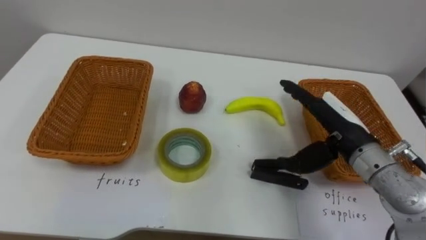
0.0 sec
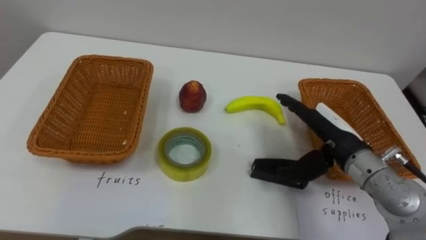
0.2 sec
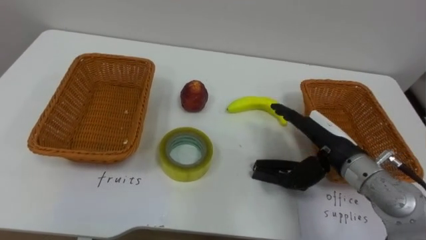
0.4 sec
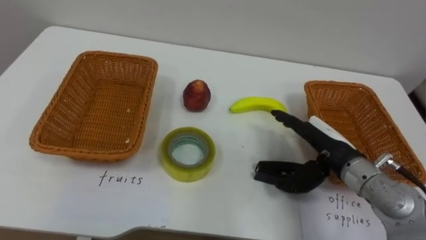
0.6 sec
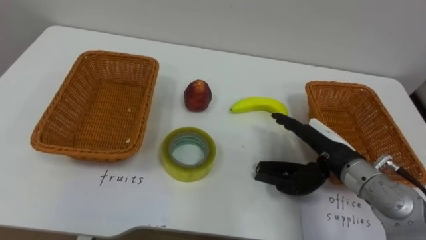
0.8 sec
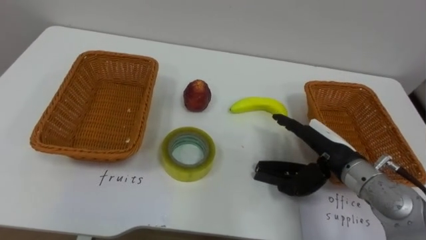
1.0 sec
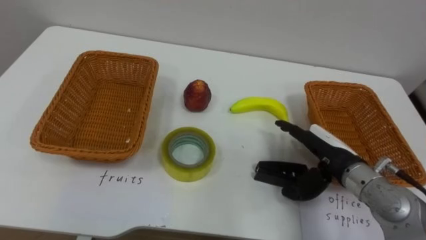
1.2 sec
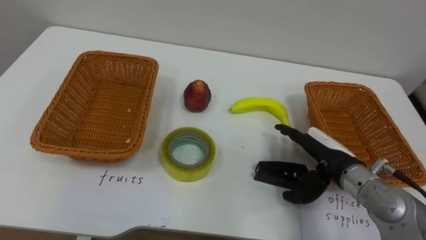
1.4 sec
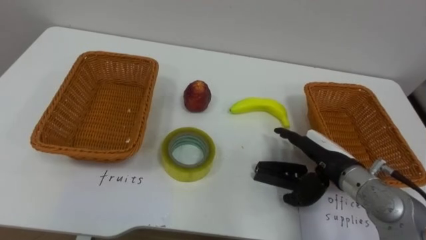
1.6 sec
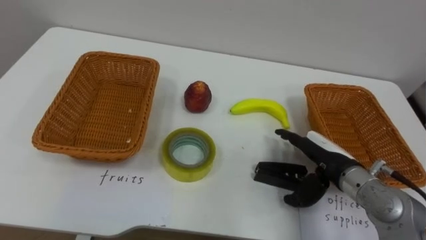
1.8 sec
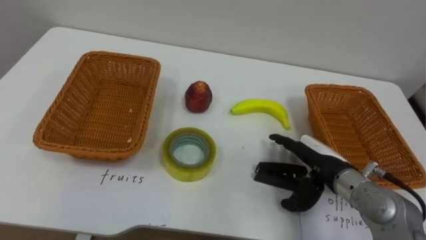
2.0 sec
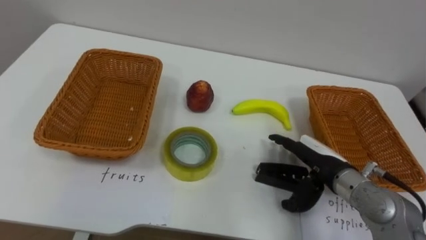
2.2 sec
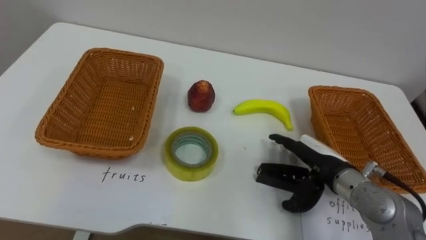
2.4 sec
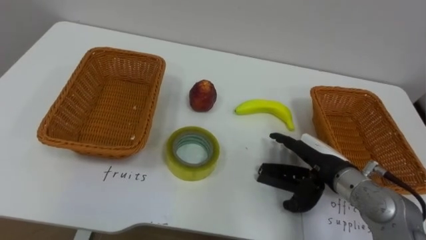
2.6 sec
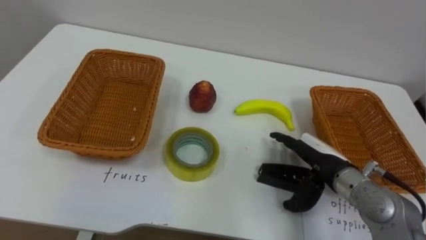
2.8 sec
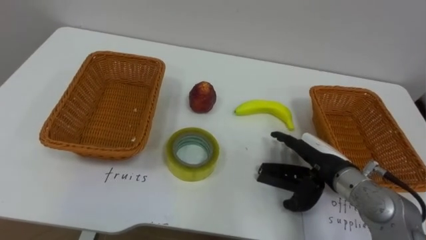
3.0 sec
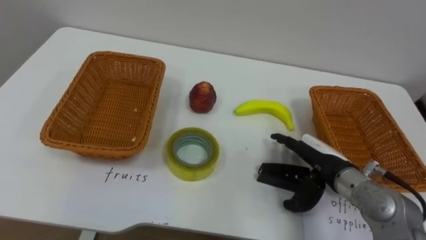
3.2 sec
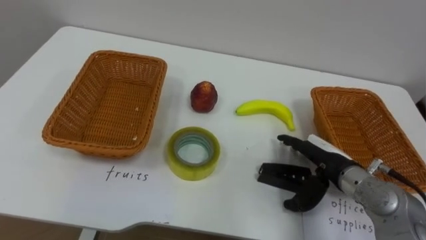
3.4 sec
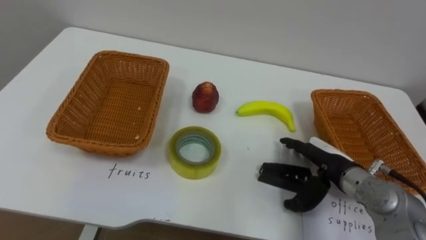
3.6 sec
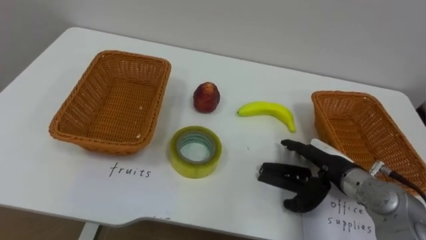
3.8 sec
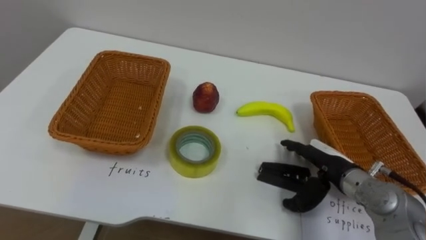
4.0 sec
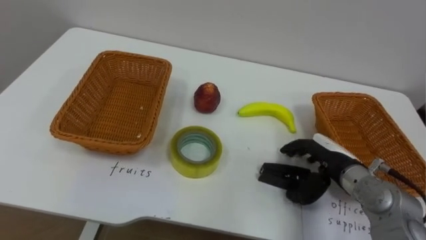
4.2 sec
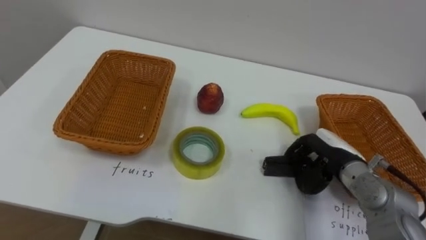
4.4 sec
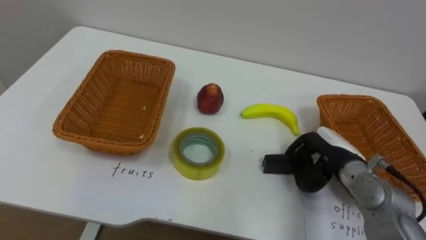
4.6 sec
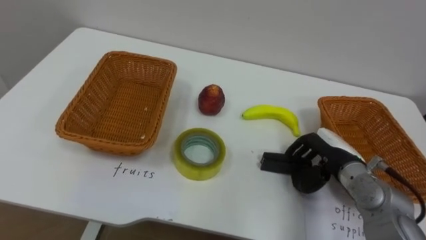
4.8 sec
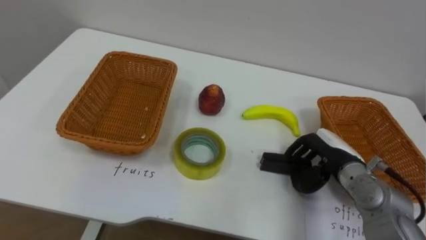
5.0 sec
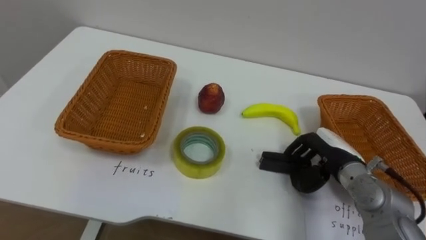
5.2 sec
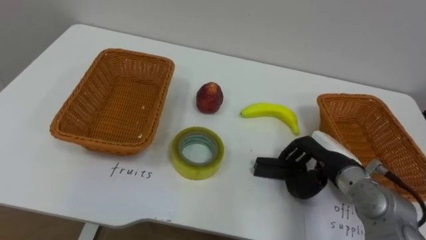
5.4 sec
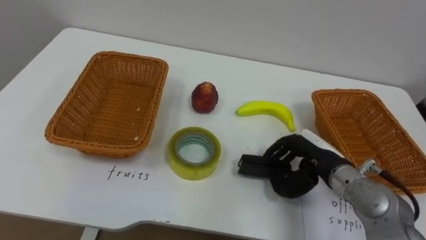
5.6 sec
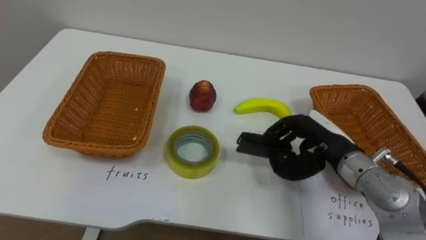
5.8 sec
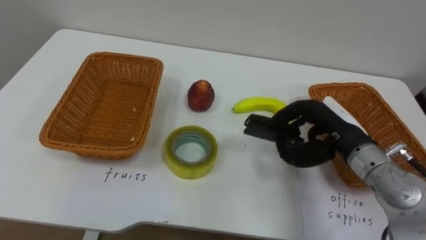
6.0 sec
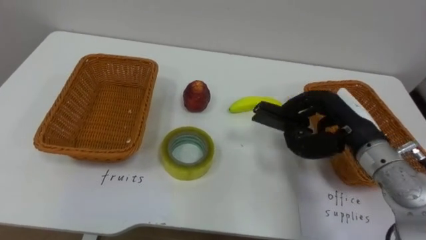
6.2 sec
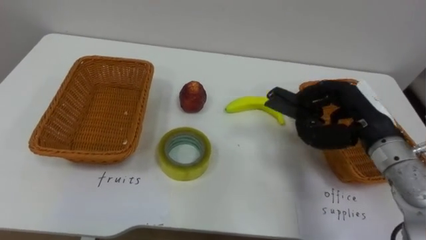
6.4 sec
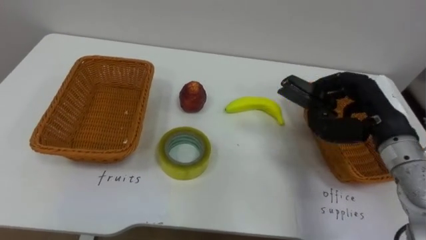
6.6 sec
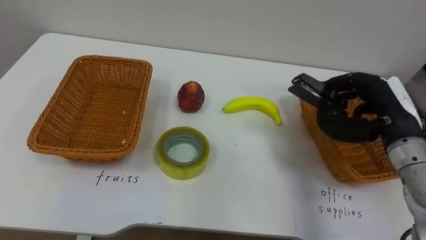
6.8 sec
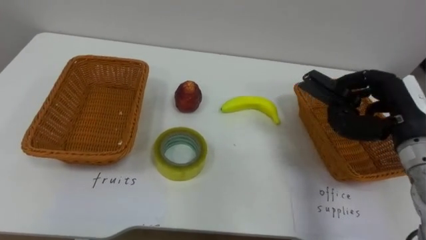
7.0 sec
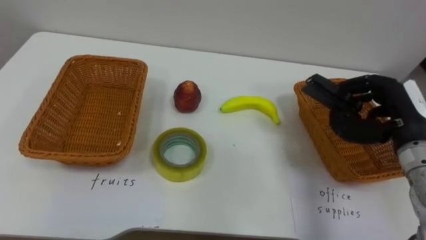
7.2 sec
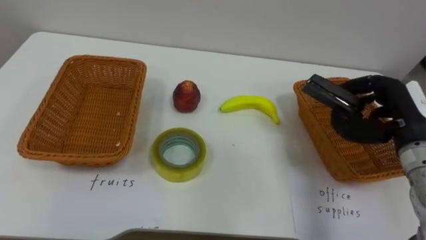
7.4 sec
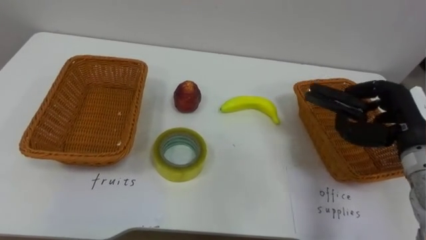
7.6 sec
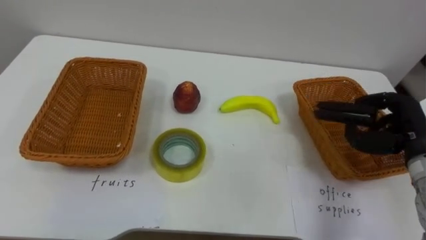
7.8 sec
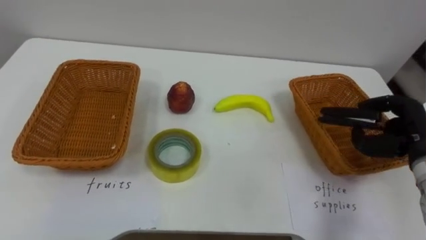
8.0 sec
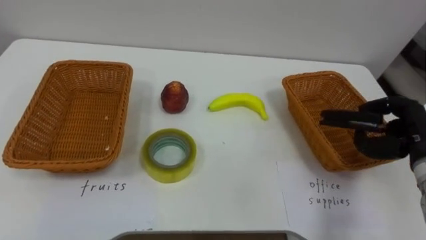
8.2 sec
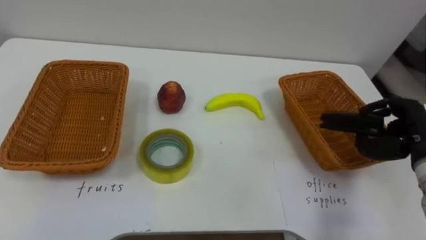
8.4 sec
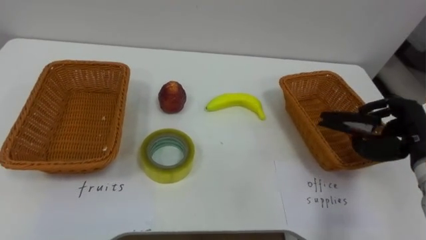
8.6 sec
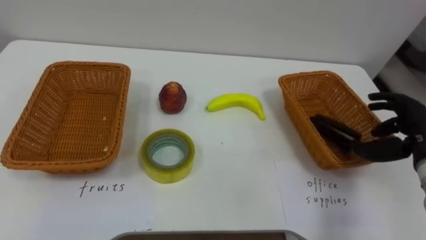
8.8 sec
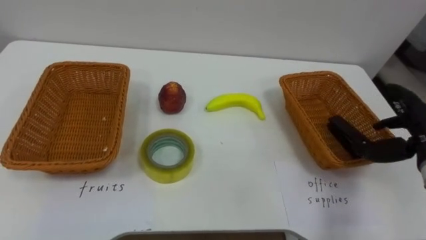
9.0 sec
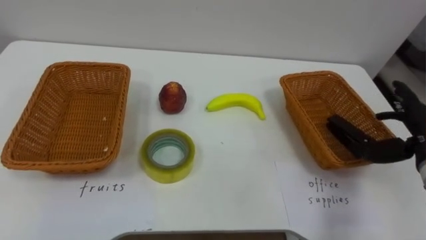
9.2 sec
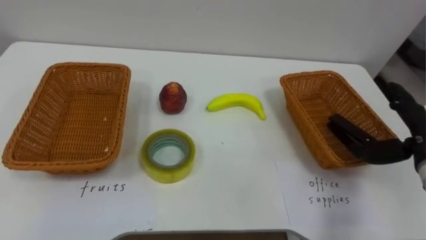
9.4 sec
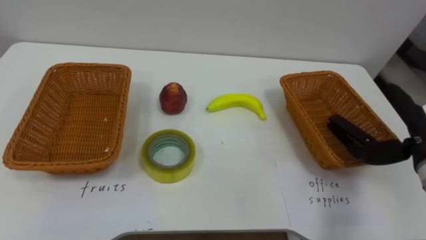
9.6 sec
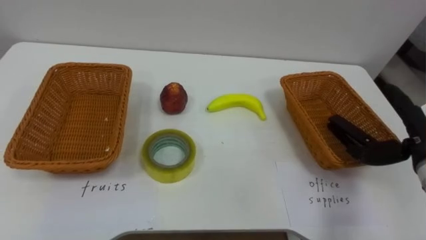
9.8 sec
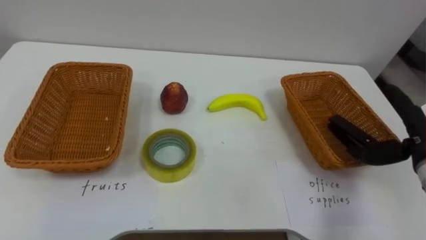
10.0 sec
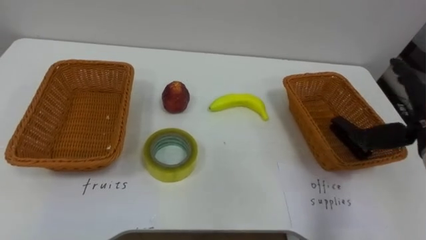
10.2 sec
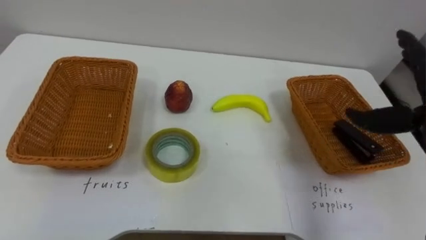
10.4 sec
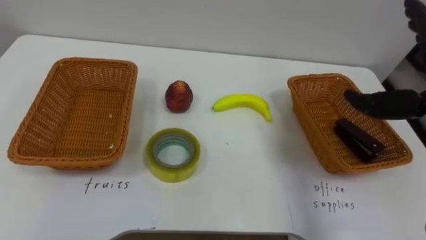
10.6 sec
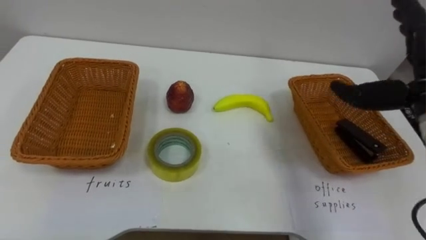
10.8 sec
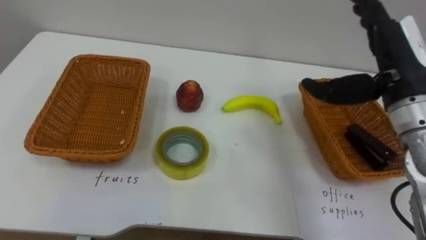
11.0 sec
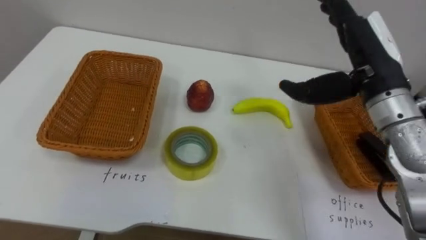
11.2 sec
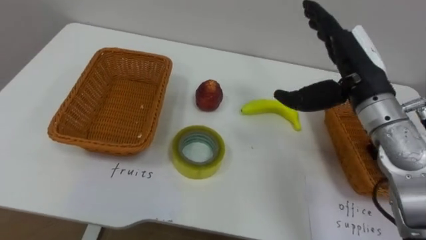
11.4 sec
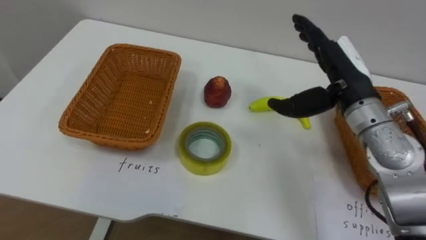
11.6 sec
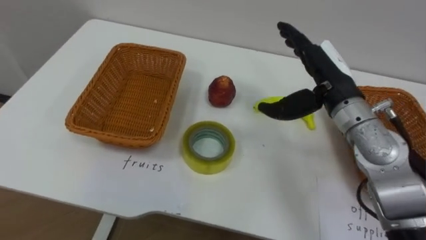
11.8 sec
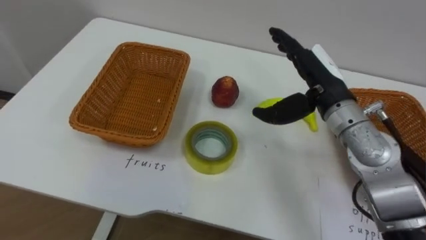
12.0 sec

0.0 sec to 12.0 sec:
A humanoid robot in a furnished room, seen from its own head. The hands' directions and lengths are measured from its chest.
Task of the whole recording: Separate the items on the table and place them into the two baskets.
0.0 sec to 1.6 sec: The right hand is displaced downward by roughly 5 cm.
3.0 sec to 4.4 sec: The right hand closes its fingers.
4.4 sec to 6.0 sec: The right hand moves upward, about 10 cm.
6.0 sec to 7.6 sec: The right hand goes some 10 cm to the right.
7.6 sec to 9.0 sec: The right hand opens its fingers.

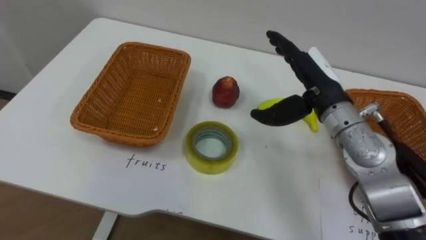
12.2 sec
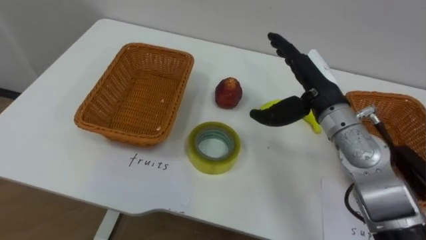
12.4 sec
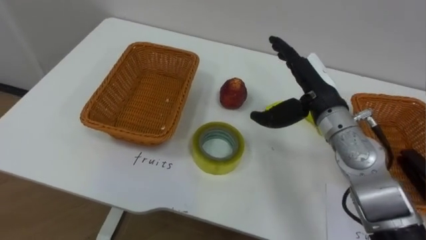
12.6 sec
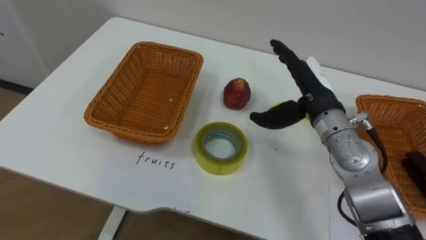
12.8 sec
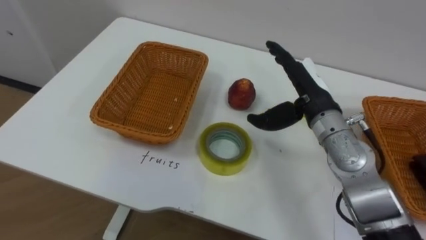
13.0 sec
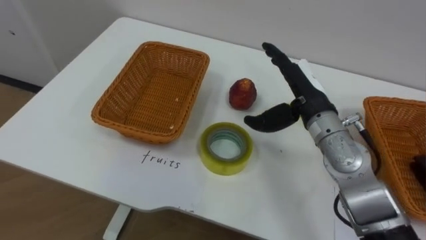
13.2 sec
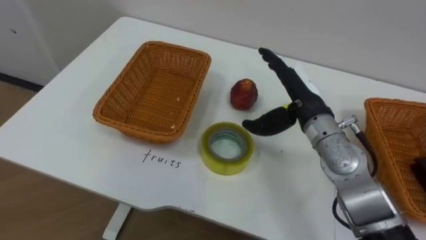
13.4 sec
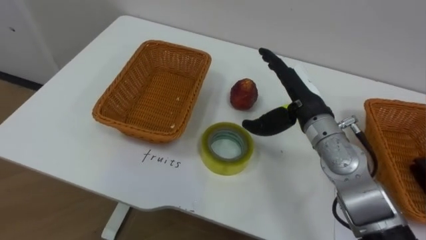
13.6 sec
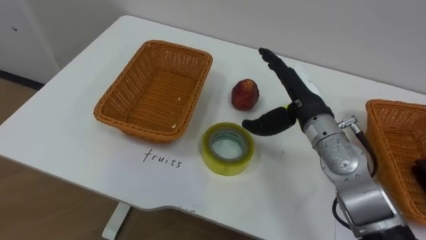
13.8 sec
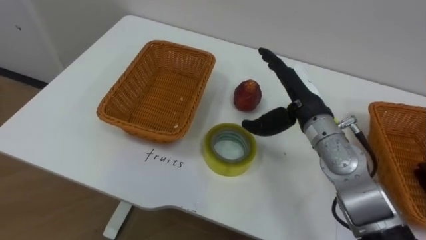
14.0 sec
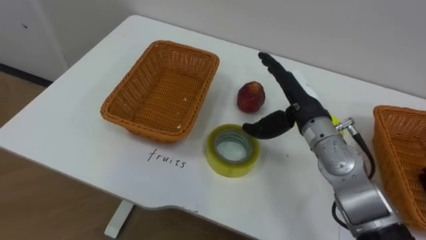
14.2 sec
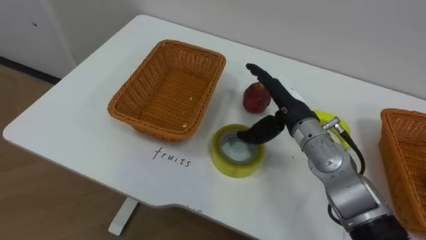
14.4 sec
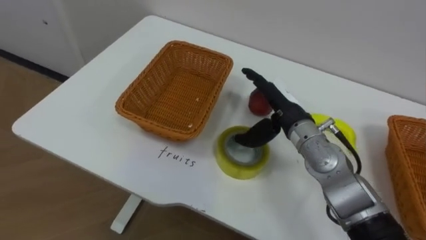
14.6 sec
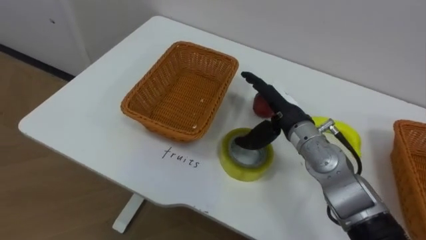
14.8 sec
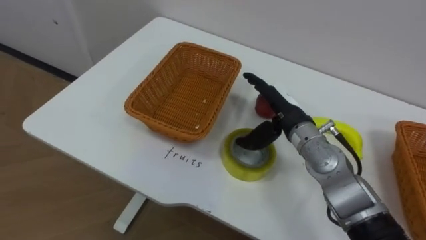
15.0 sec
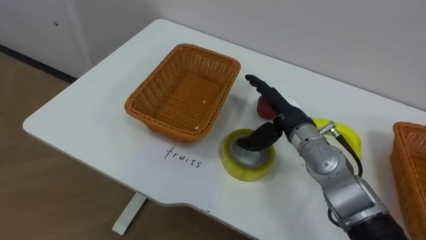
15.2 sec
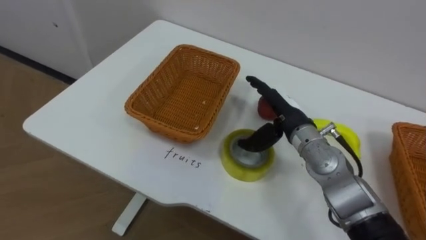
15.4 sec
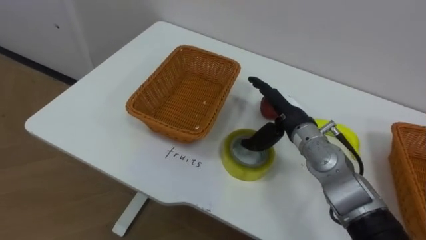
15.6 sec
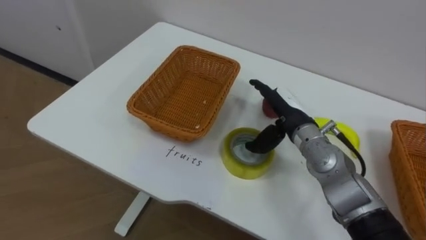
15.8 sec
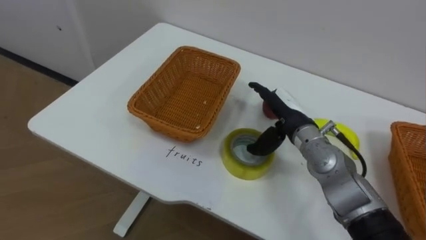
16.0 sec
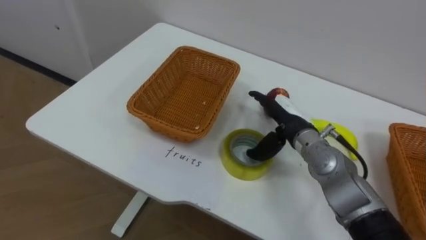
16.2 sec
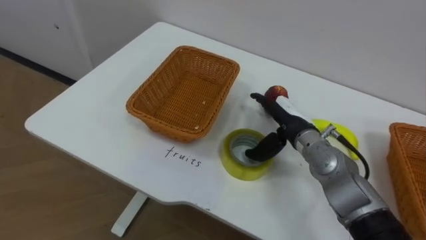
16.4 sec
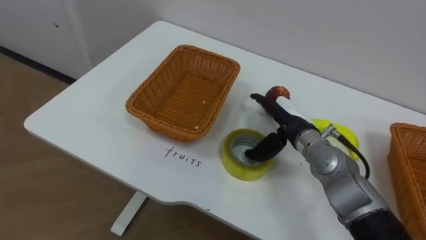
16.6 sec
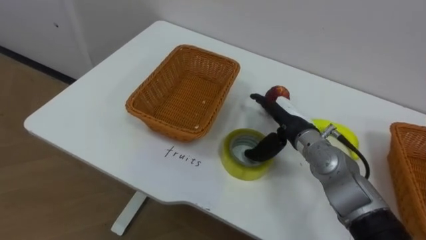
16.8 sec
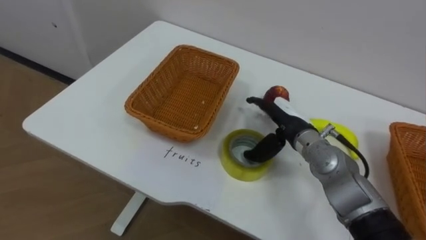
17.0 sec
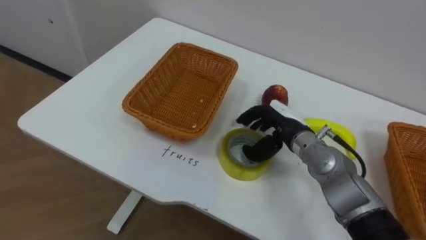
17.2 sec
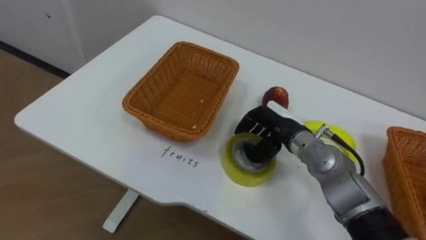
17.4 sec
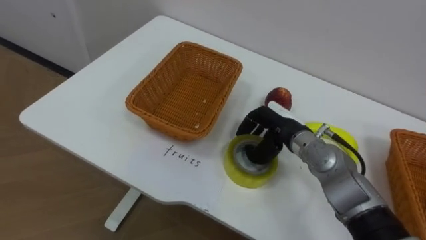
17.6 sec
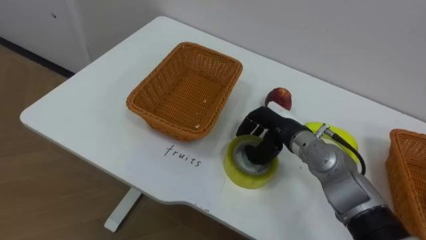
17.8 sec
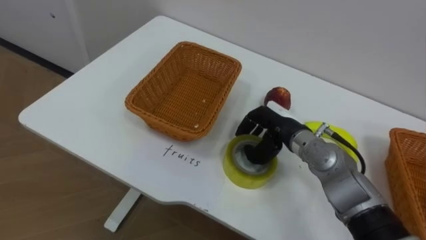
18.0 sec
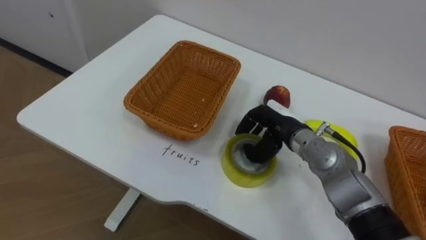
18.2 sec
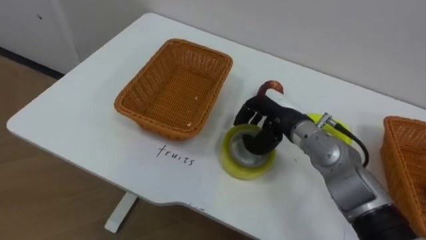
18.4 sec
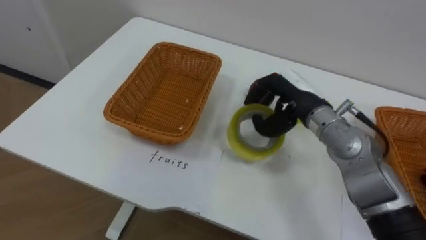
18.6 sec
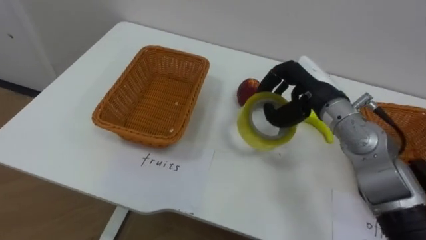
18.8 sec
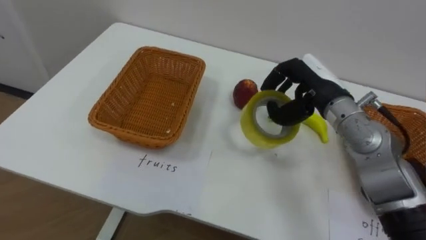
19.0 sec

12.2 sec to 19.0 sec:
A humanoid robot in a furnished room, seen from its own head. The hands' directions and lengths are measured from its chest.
Task of the whole recording: Separate the items on the table and place them into the two baskets.
16.2 sec to 17.6 sec: The right hand closes.
17.6 sec to 19.0 sec: The right hand shifts about 10 cm upward.
